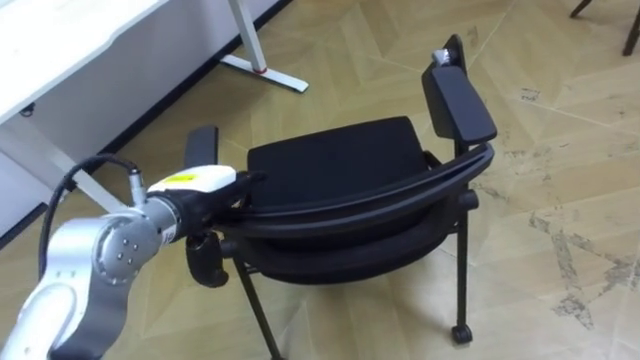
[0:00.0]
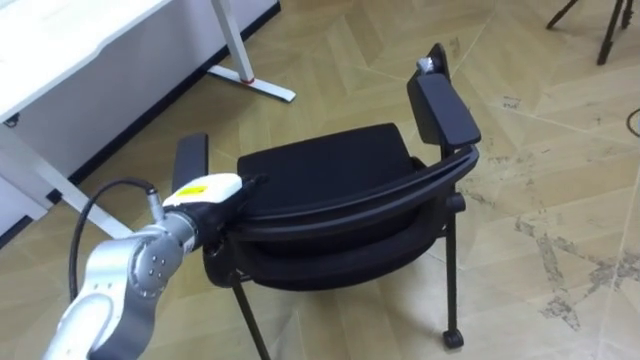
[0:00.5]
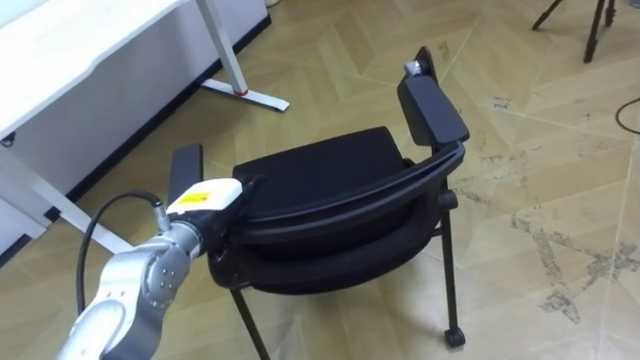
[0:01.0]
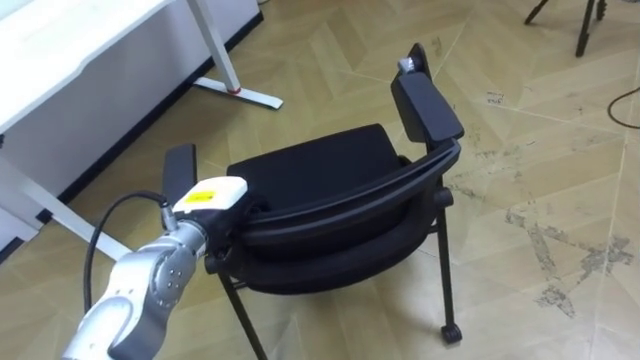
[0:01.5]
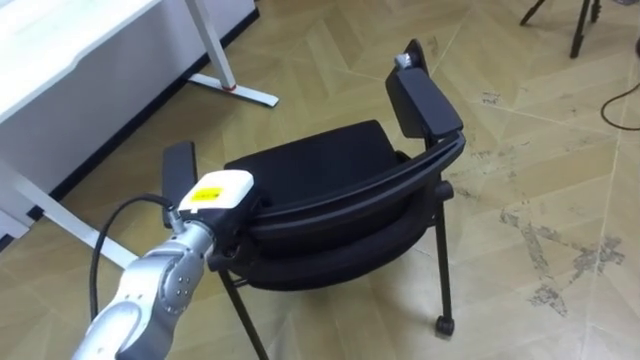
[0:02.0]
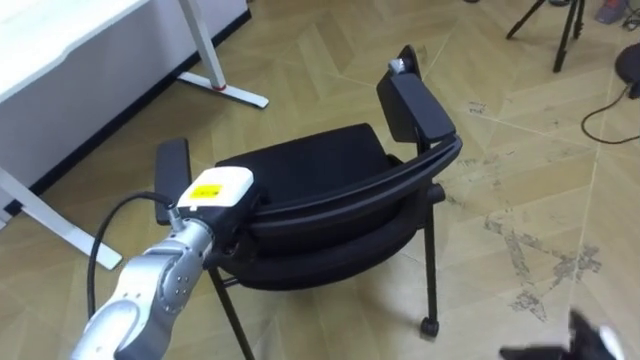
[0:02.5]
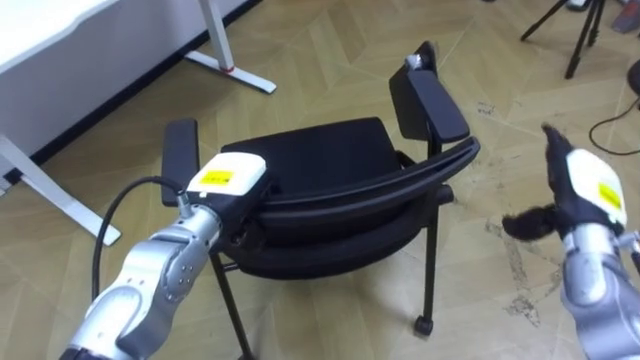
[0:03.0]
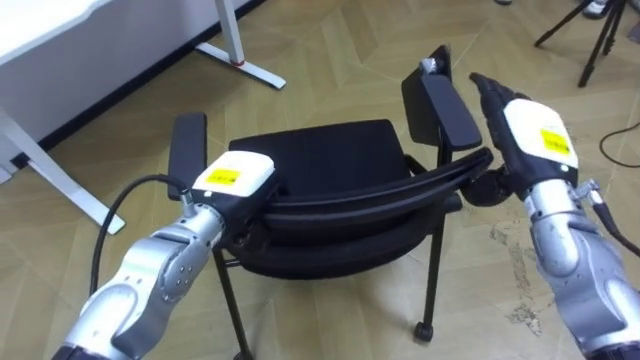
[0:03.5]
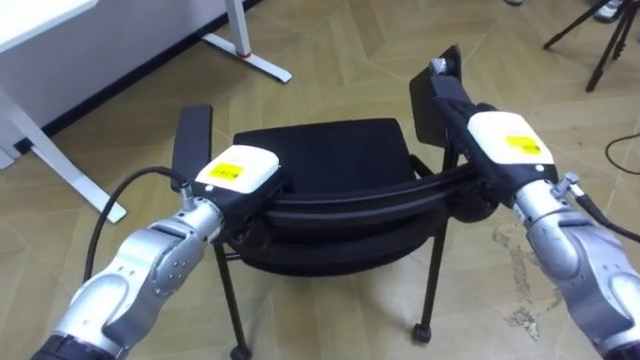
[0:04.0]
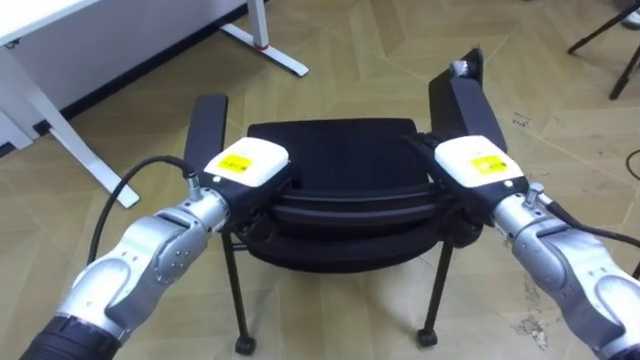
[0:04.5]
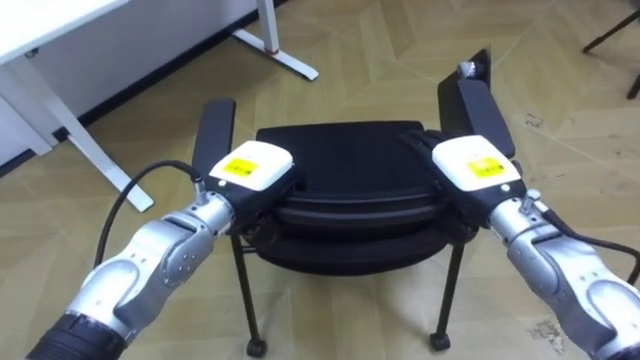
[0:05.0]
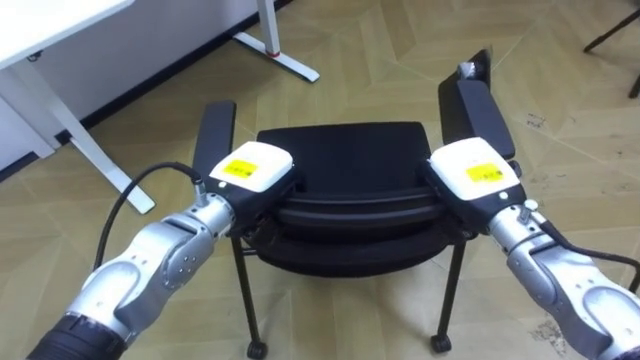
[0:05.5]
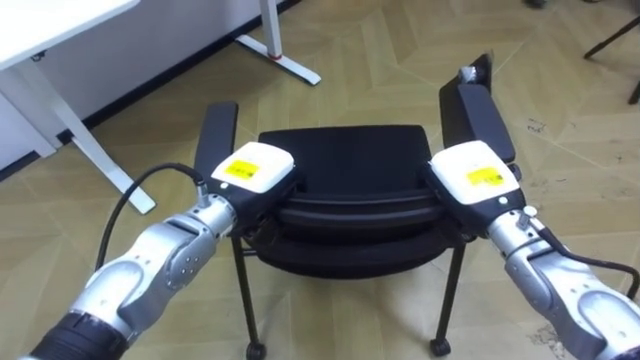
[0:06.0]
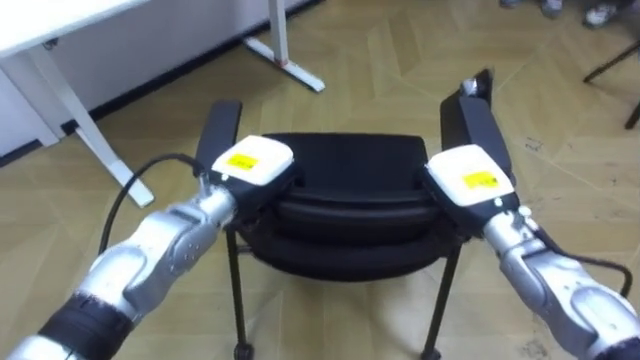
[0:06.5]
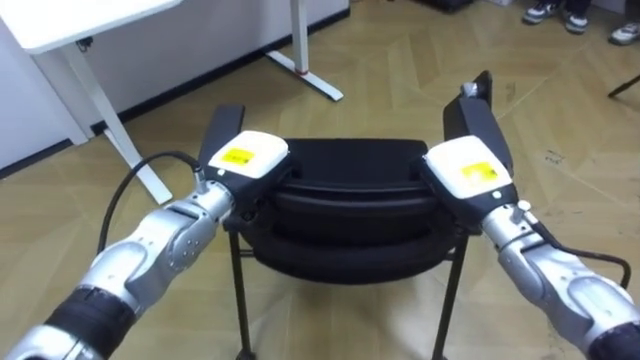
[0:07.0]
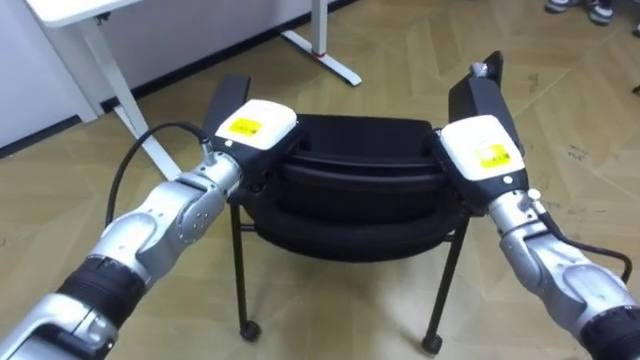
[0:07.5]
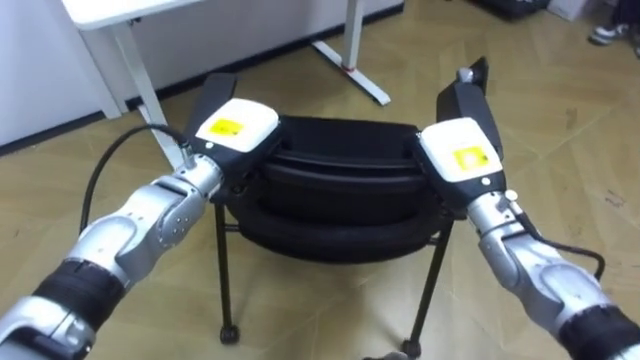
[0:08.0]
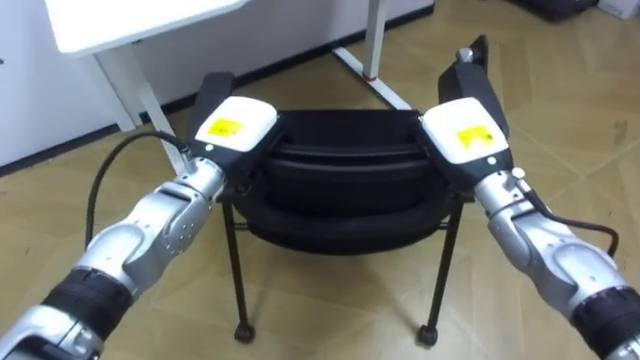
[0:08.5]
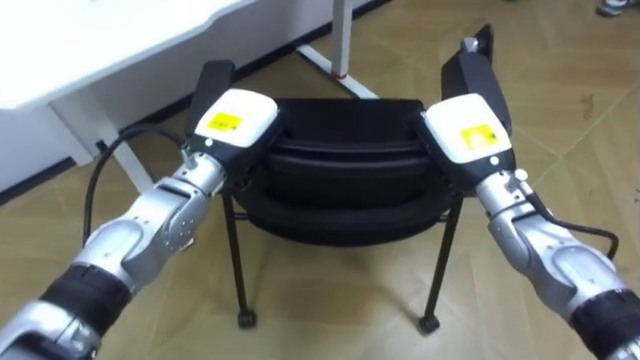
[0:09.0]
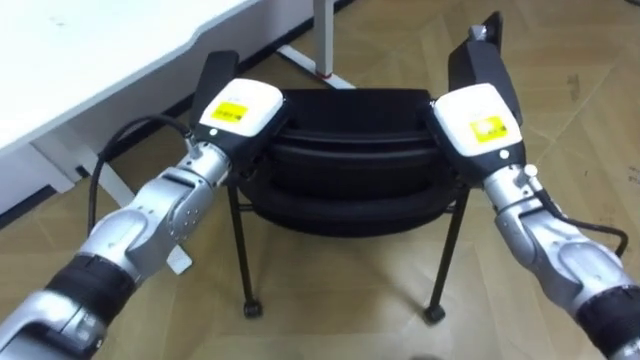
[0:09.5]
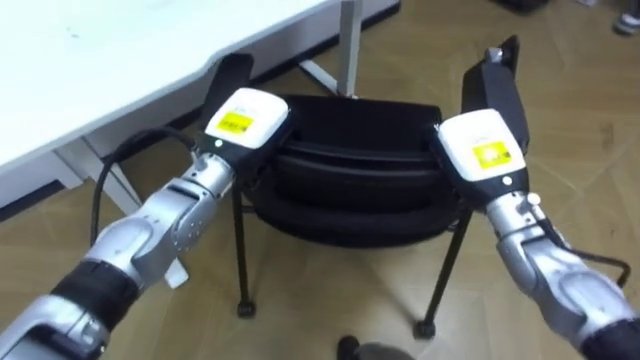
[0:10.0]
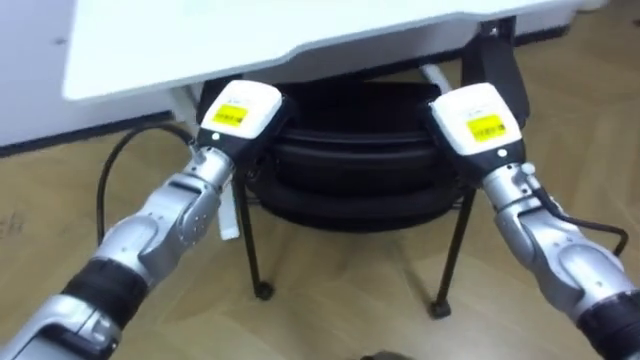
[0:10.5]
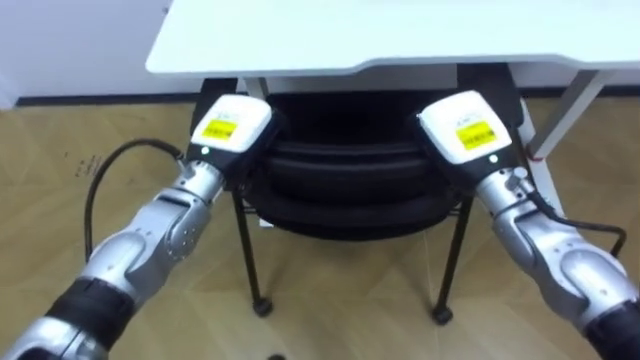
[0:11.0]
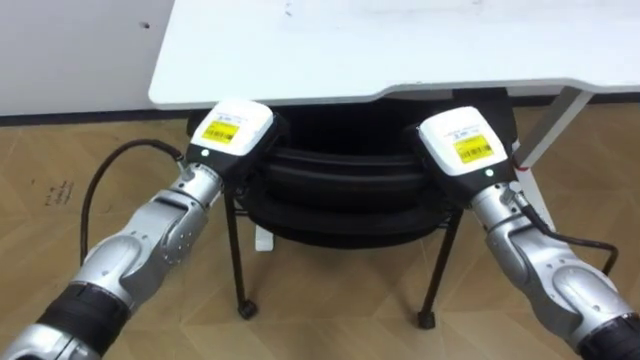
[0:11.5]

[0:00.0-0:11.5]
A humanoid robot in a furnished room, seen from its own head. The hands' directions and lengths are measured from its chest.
Task of the whole recording: Push the chair under the table.
0.0 to 2.0 s: The left hand moves approximately 5 cm, and closes.
4.0 to 6.0 s: The right hand shifts by approximately 5 cm, and closes up.
6.0 to 7.5 s: The left hand changes place by some 5 cm.
9.5 to 11.5 s: The robot turns to its left by about 40 degrees.

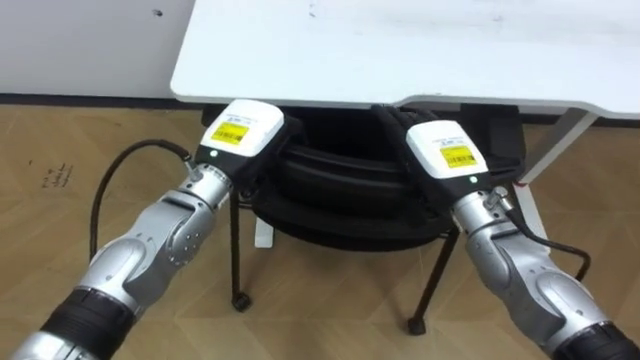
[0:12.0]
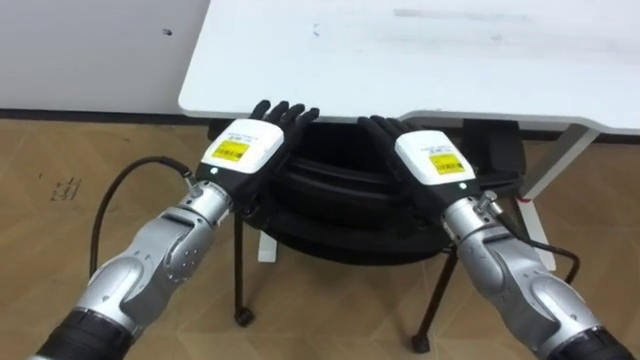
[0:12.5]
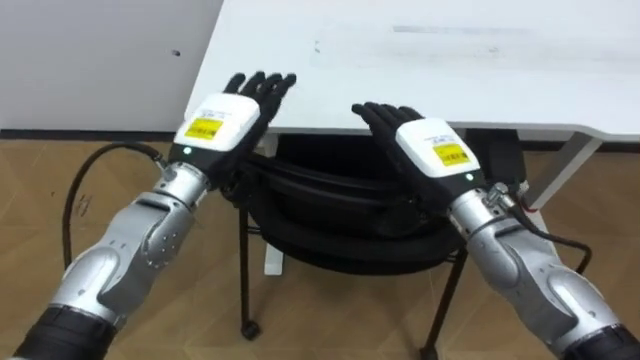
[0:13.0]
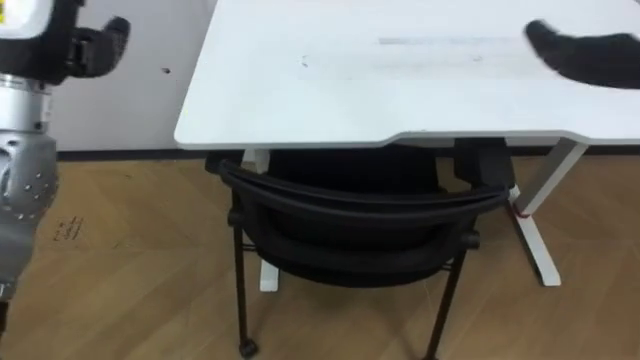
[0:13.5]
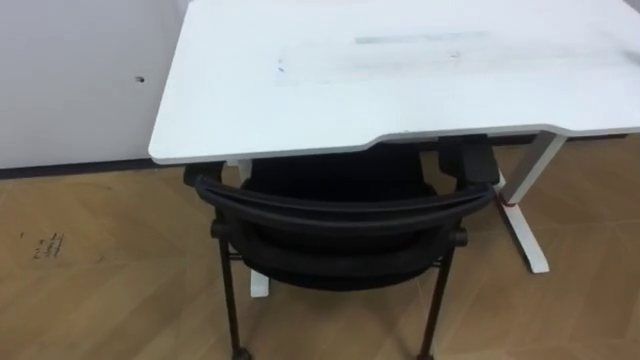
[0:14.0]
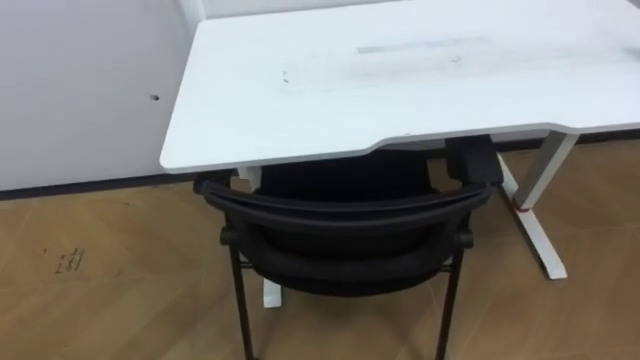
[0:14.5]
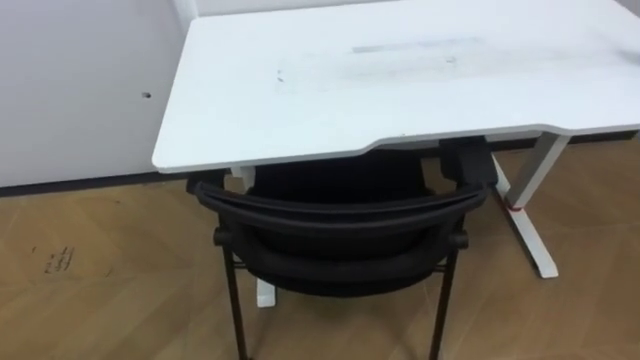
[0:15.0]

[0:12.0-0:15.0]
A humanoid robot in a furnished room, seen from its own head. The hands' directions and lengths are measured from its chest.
Task of the whole recording: Push the chair under the table.
12.0 to 13.5 s: The left hand travels upward and to the left by some 25 cm, and opens its fingers.

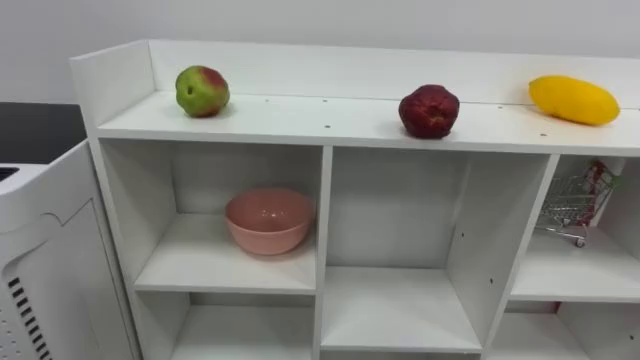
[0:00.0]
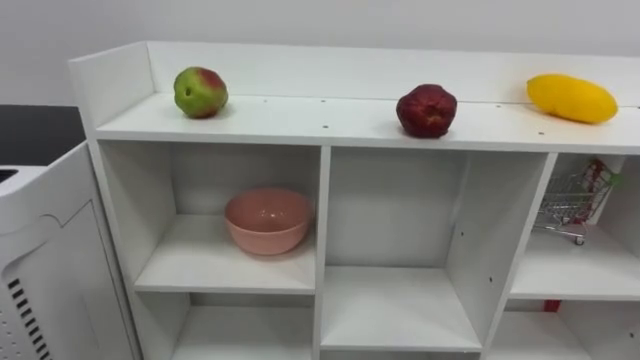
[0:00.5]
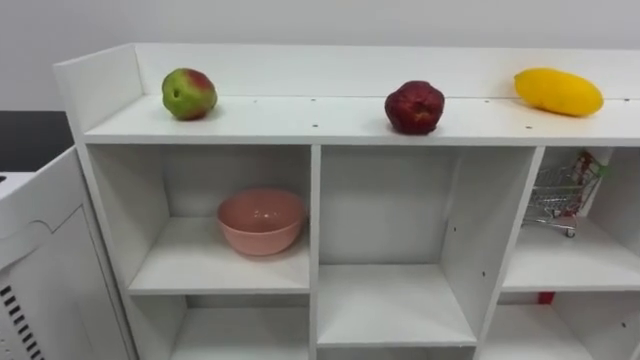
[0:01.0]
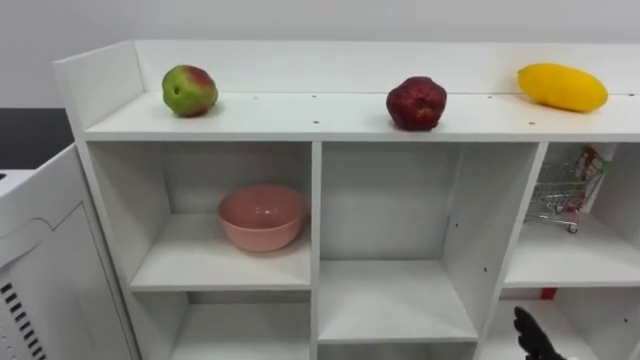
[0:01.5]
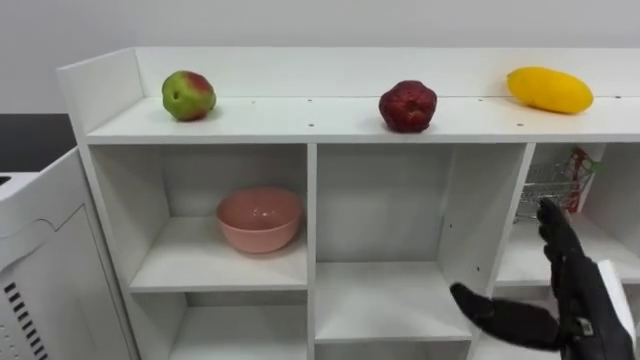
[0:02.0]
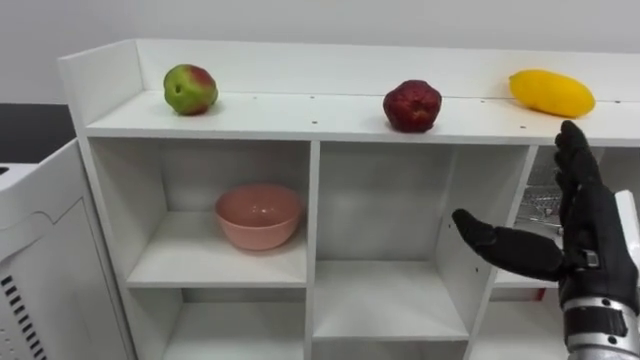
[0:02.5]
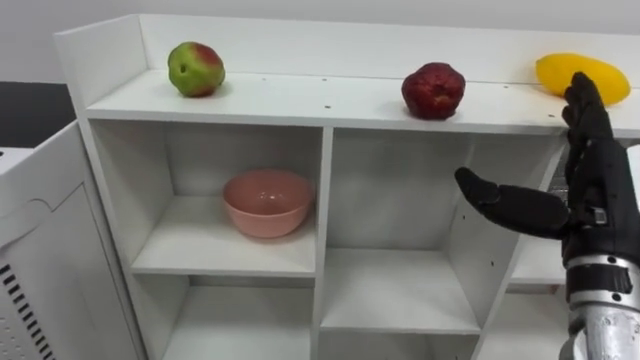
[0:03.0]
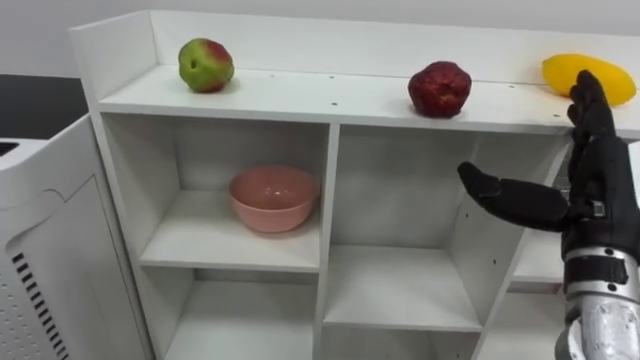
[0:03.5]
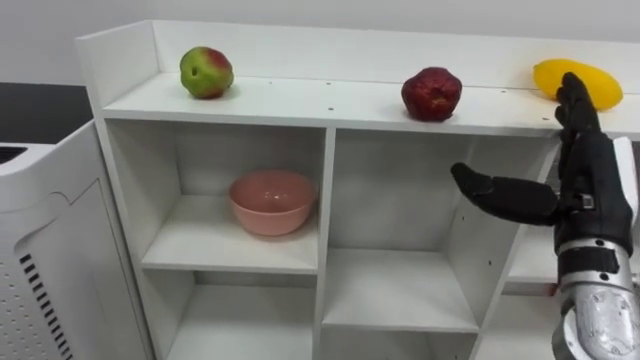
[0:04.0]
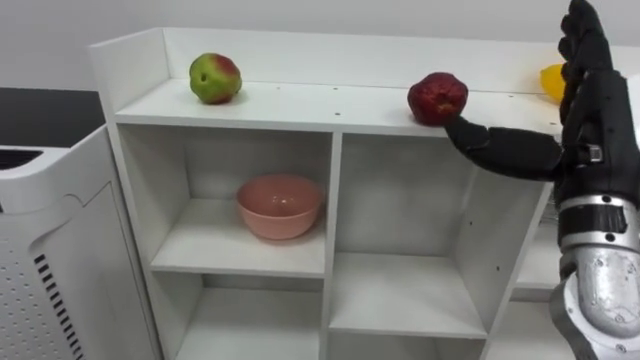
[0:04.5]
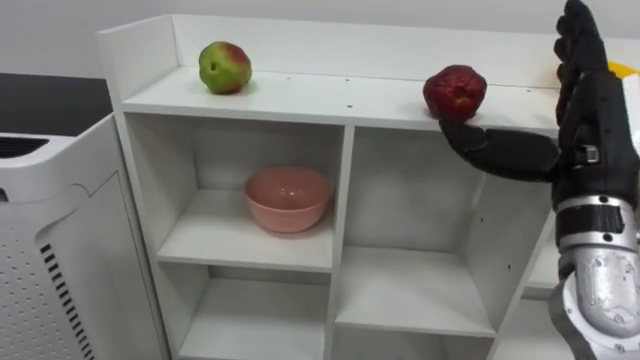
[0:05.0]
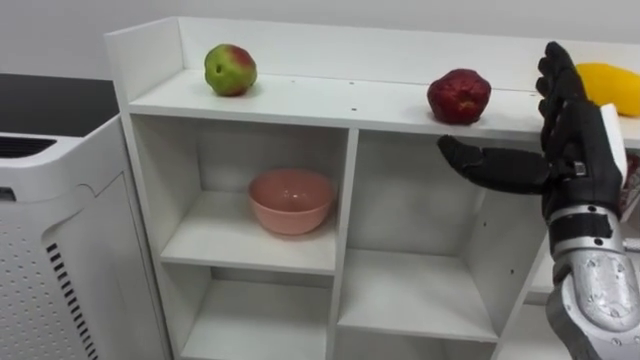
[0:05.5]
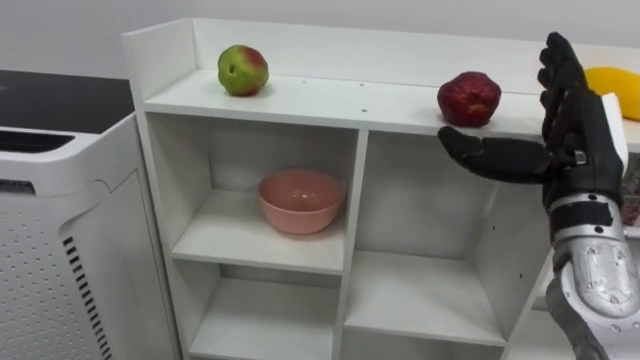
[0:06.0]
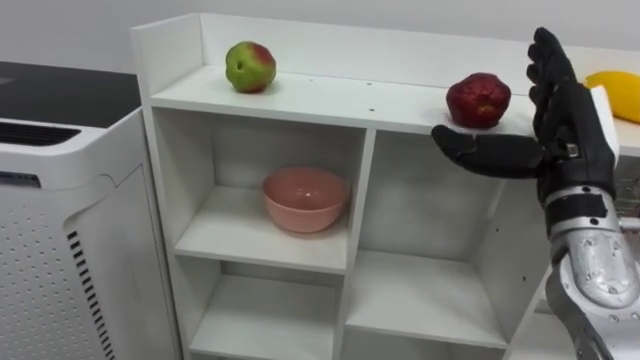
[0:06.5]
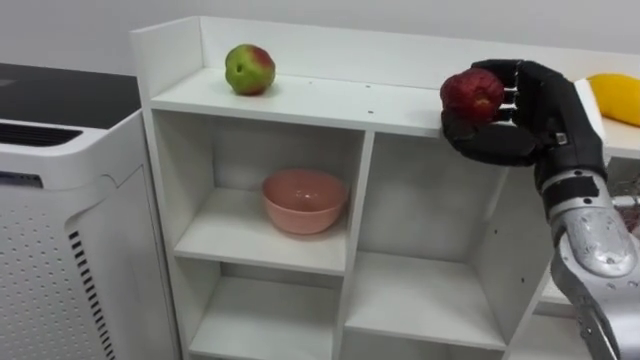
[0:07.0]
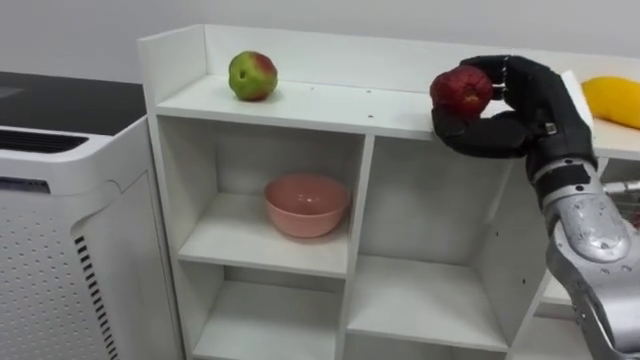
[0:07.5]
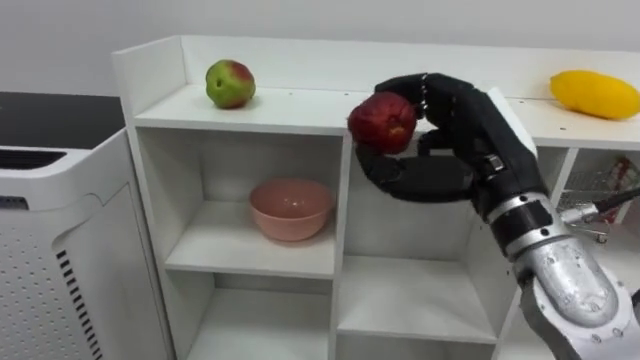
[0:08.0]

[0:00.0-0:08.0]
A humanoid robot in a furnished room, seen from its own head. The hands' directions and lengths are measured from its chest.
Task of the whole recording: Put the apple in the cell in the second column from the left and the second row from the top.
2.0 to 4.0 s: The right hand travels upward and forward by some 10 cm.
6.0 to 8.0 s: The right hand travels to the left by roughly 10 cm, and closes up.
